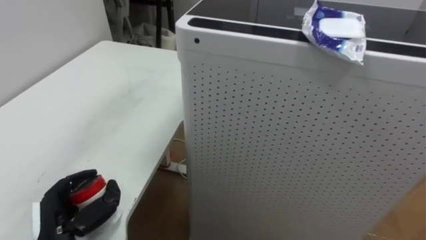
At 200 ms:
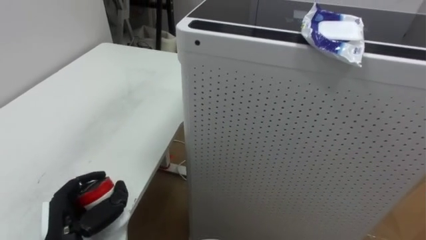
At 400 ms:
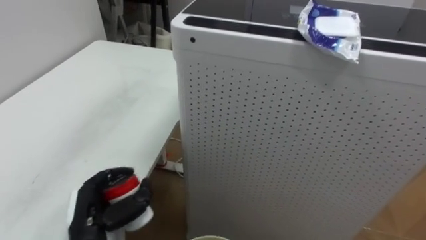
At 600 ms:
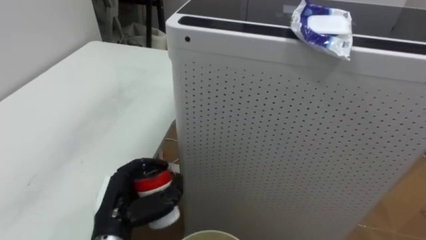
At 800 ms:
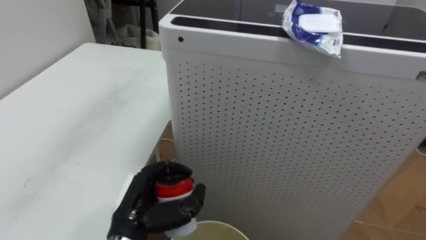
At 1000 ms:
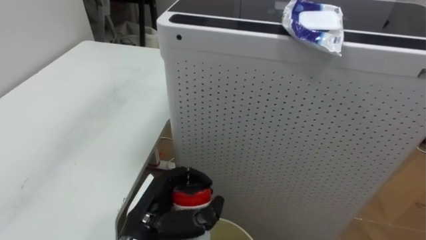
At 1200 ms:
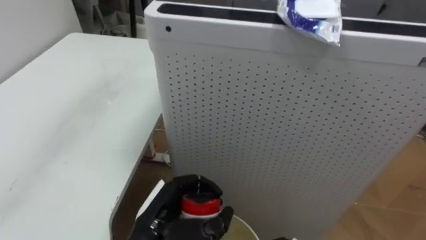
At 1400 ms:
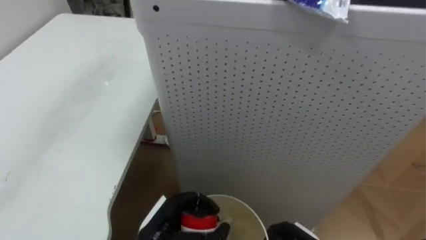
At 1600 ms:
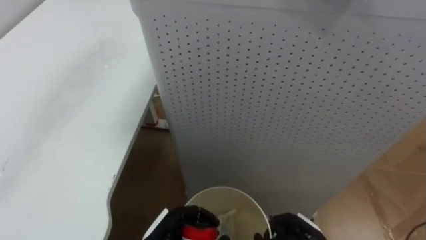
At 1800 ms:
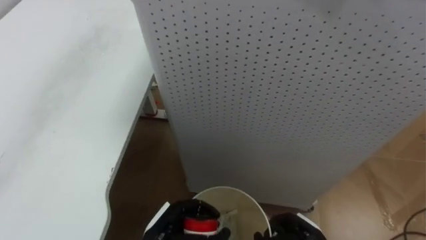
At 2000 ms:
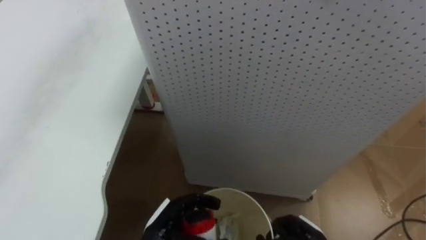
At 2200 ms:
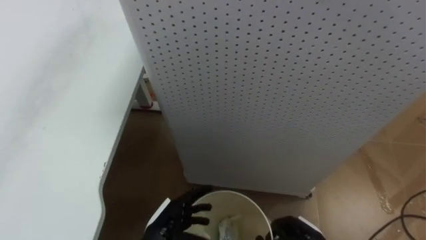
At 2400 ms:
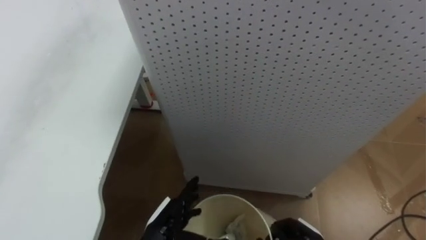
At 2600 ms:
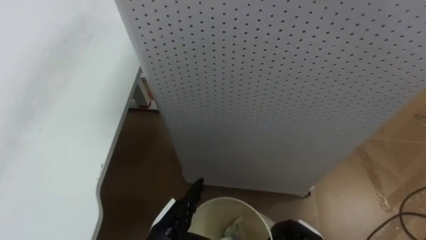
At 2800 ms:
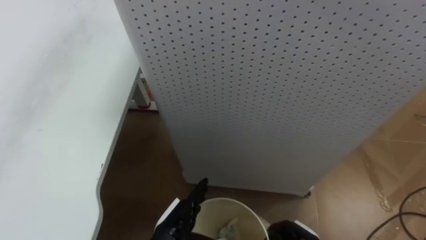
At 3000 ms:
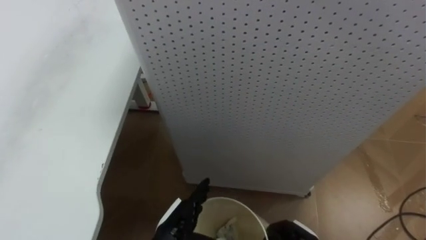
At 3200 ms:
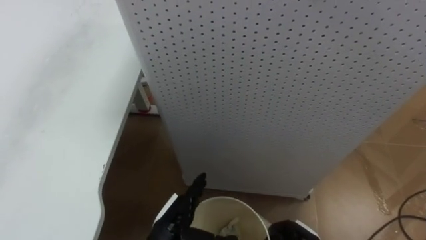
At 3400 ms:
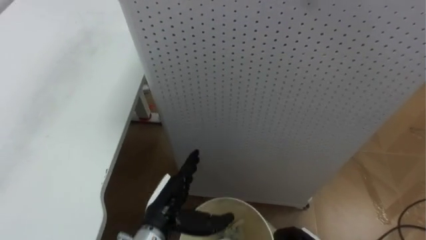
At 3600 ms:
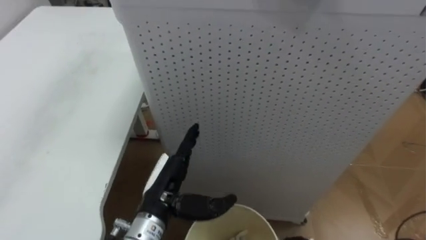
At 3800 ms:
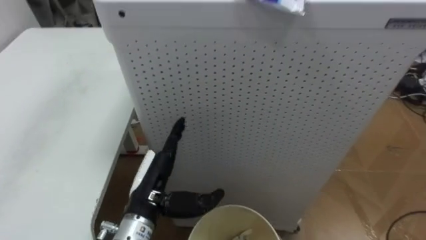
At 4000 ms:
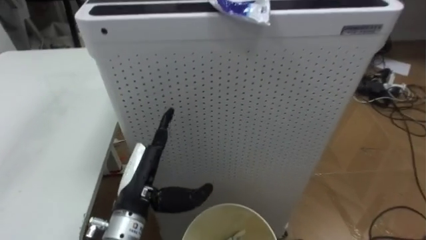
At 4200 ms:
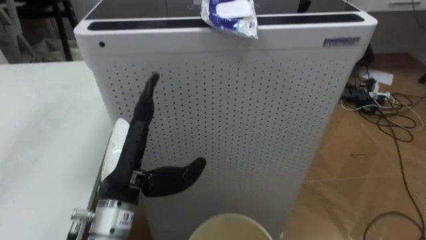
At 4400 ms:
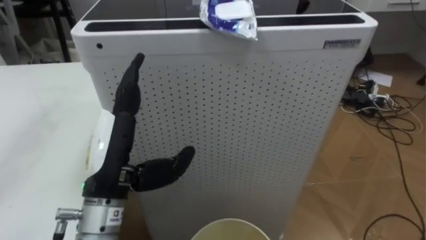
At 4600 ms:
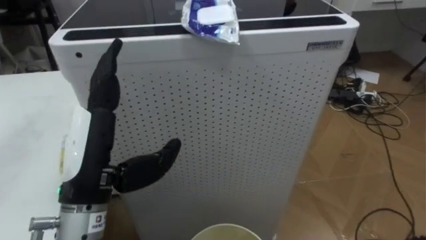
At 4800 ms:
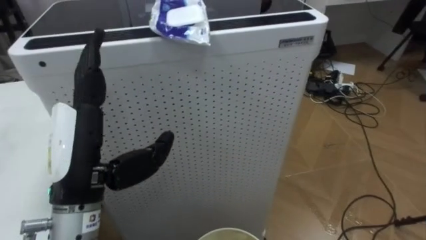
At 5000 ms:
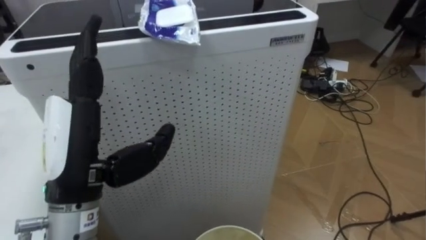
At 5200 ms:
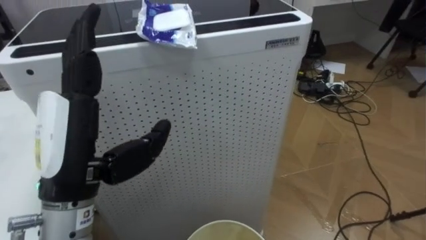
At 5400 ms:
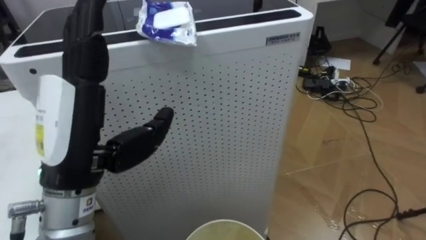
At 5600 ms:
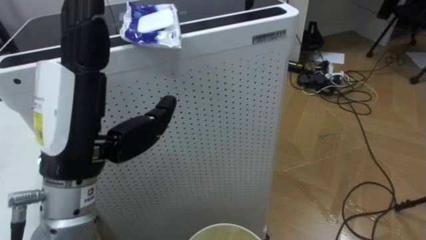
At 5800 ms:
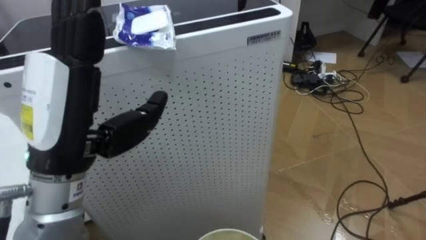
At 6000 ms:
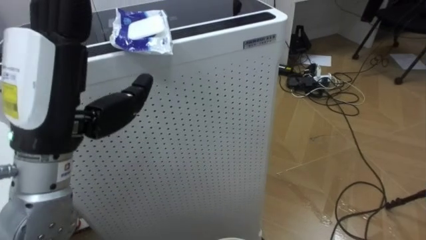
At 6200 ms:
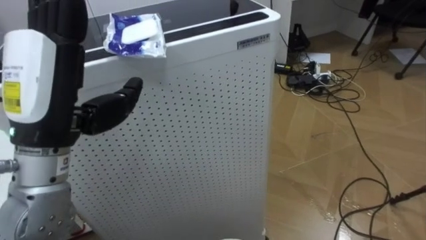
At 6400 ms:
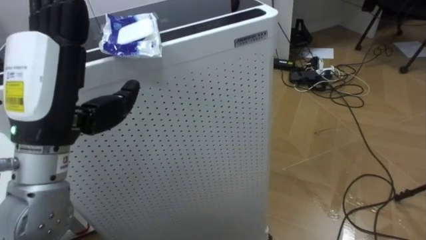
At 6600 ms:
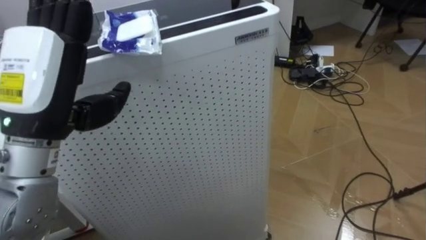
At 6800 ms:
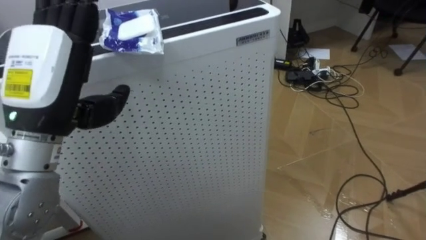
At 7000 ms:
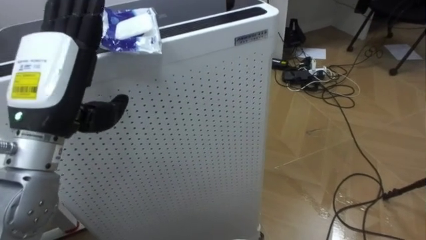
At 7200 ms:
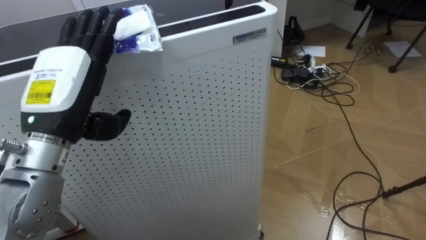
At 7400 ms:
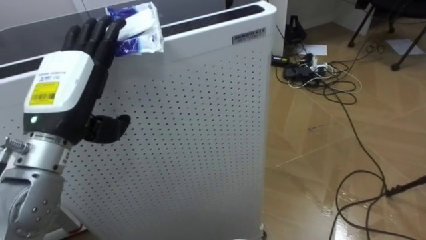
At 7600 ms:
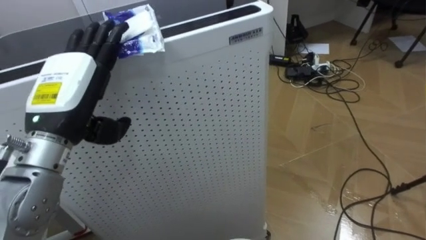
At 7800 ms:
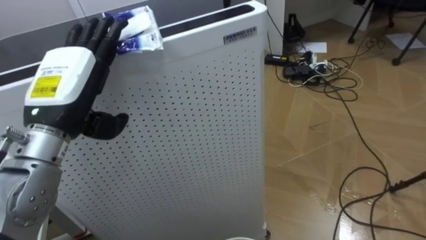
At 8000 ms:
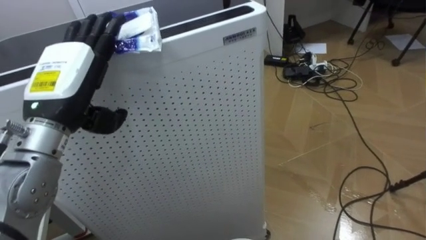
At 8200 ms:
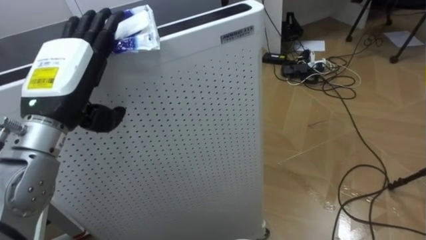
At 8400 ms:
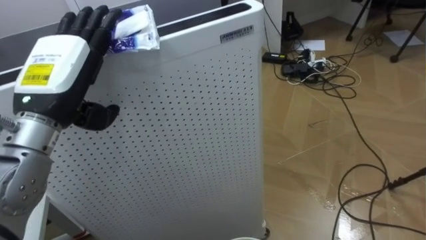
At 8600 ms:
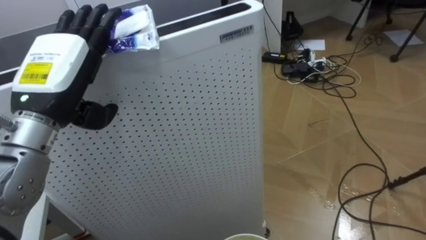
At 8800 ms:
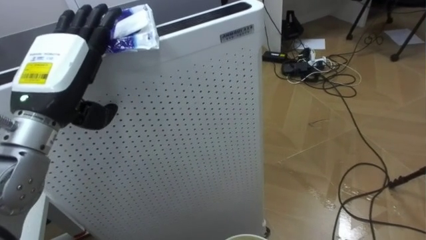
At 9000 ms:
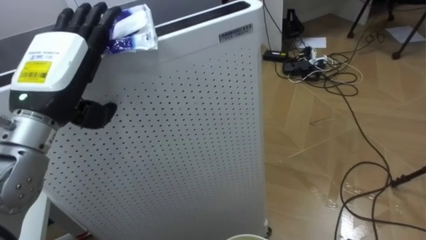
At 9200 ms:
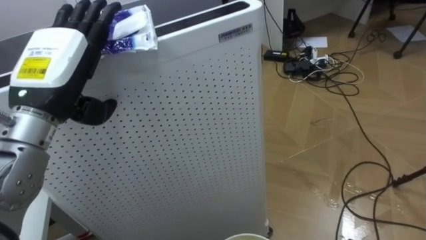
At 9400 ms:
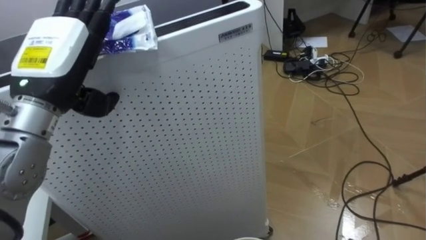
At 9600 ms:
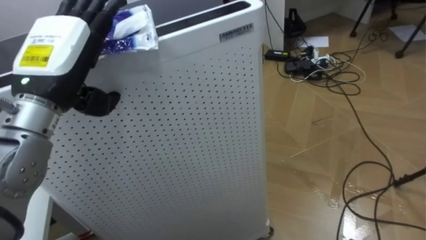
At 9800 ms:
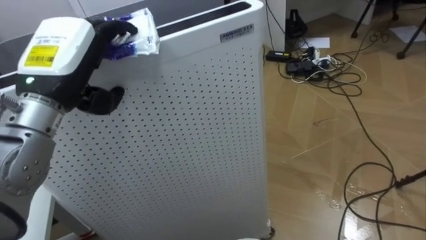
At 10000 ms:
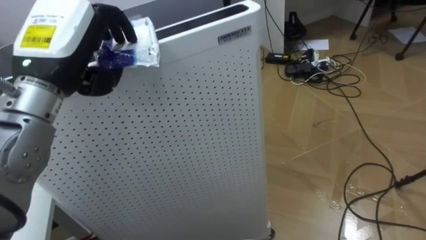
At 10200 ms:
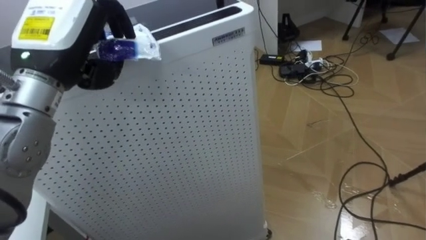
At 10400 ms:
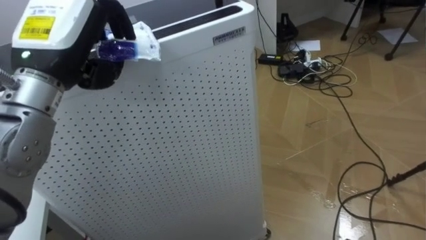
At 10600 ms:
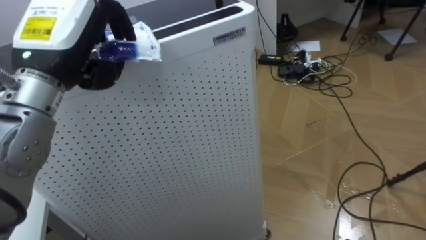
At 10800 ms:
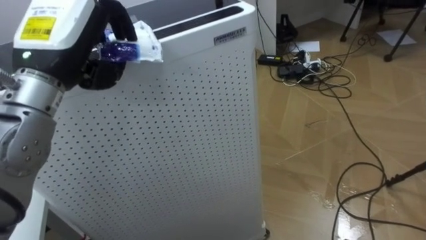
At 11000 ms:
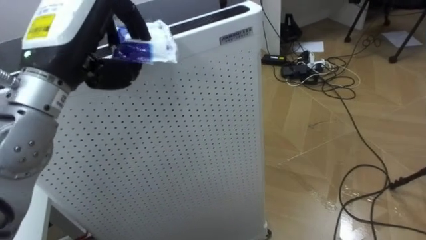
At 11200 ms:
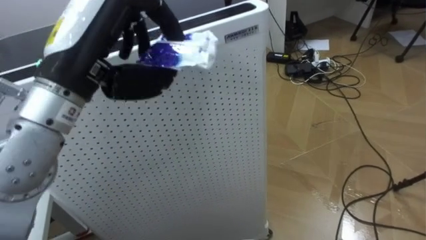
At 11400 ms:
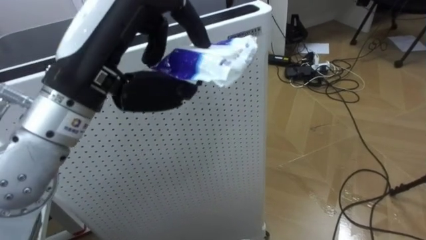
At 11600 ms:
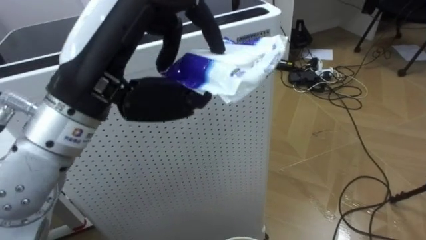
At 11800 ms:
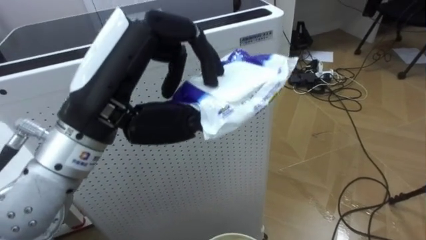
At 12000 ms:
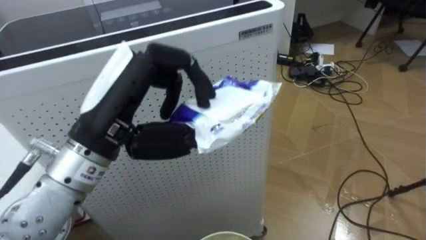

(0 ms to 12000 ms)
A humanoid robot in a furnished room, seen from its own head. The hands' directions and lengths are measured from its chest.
Task of the whole recording: Pick up the light blue package, the candy box, and the dark blue package separately, and put them into the trash can held in your right hand.
0 ms - 1600 ms: The left hand moves to the right, some 15 cm.
1600 ms - 3000 ms: The left hand opens.
3000 ms - 4400 ms: The left hand is displaced upward by some 20 cm.
4400 ms - 6000 ms: The left hand shifts about 10 cm upward.
6000 ms - 7600 ms: The left hand moves forward and downward, about 10 cm.
9000 ms - 10400 ms: The left hand changes place by about 5 cm, and closes its fingers.
10400 ms - 12000 ms: The left hand moves backward and to the right, some 10 cm.

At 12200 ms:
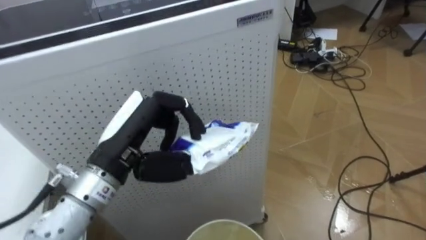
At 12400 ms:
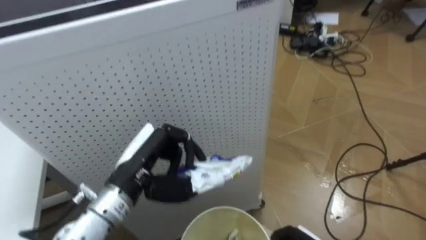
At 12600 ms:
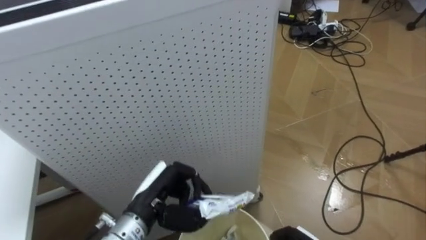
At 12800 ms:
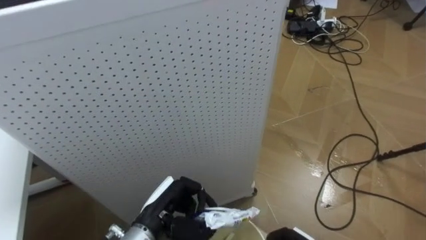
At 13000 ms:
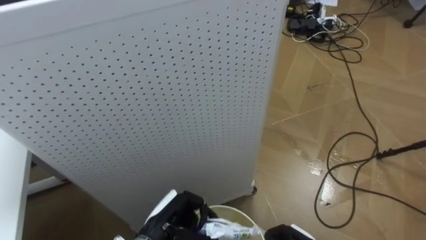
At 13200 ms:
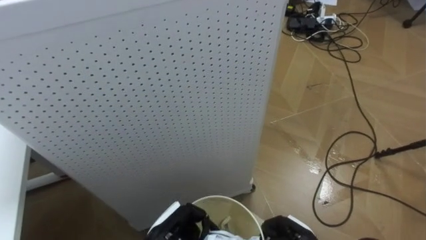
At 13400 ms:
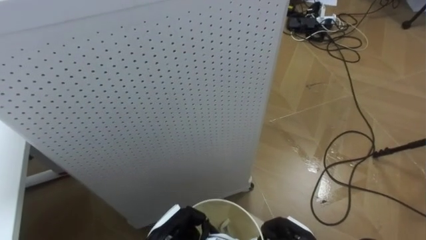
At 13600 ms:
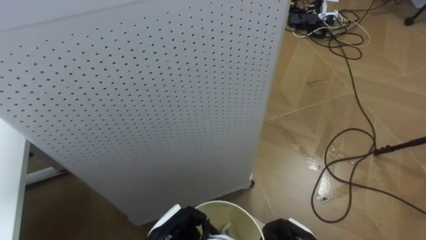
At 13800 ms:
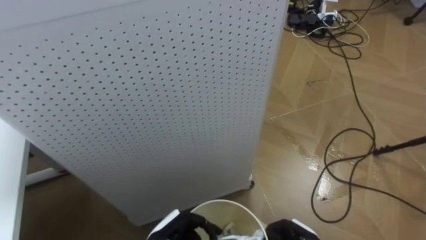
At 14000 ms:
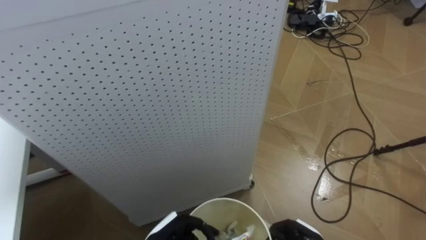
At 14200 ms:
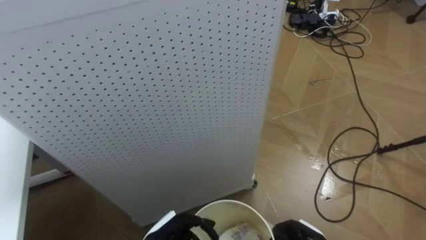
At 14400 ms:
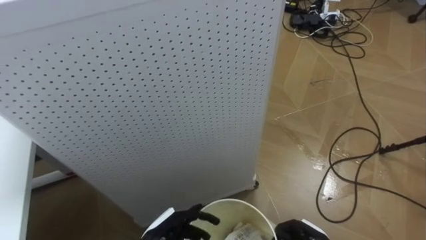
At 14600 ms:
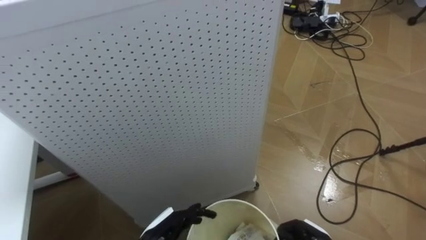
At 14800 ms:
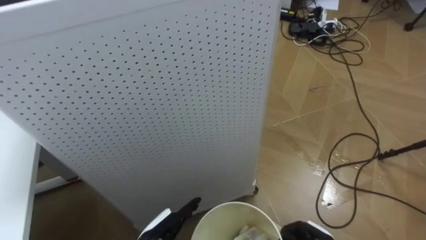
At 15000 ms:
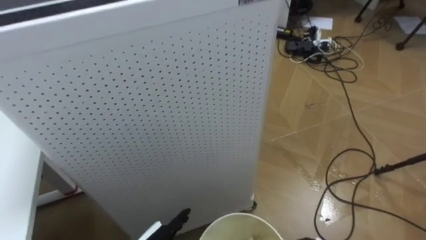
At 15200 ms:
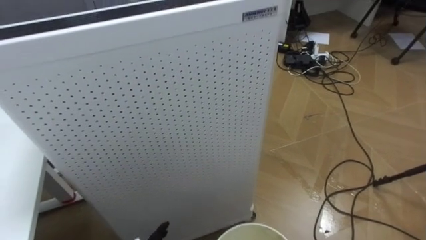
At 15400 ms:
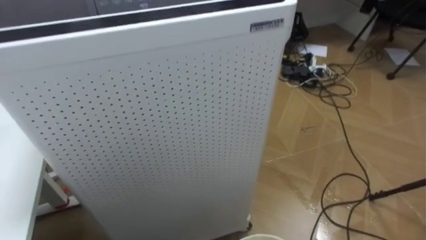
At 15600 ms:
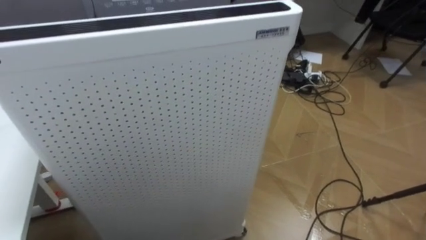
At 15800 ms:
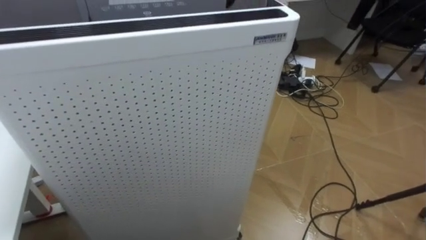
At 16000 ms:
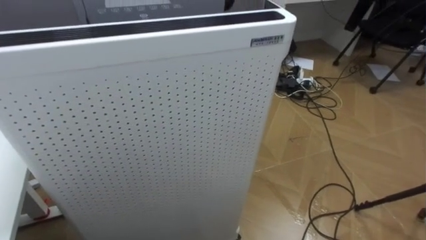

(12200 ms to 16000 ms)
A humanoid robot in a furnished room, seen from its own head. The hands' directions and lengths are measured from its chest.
Task of the whole recording: Pick up the light blue package, the candy box, and the dark blue package separately, and put them into the trash can held in your right hand.
12200 ms - 13400 ms: The left hand moves downward, approximately 25 cm.
13400 ms - 14800 ms: The left hand opens.

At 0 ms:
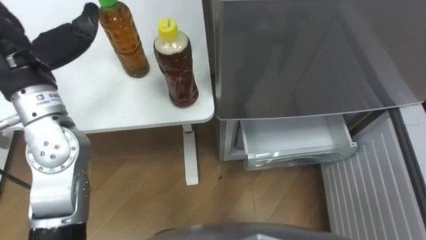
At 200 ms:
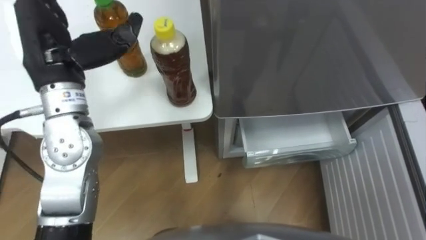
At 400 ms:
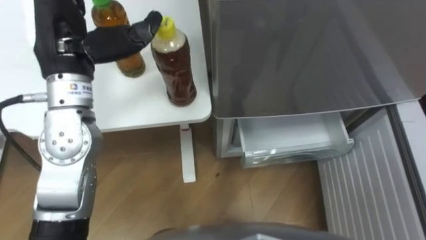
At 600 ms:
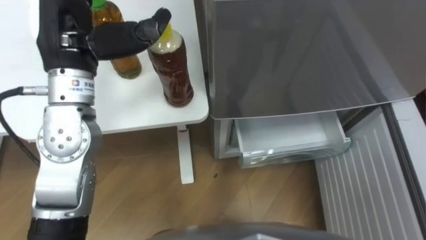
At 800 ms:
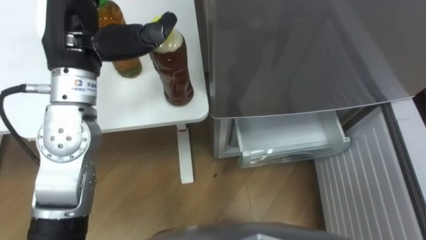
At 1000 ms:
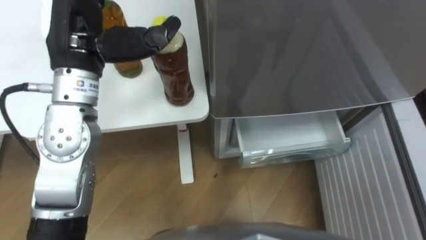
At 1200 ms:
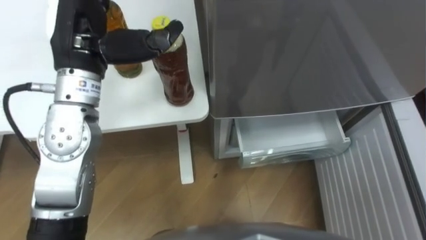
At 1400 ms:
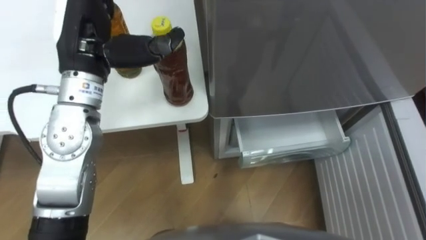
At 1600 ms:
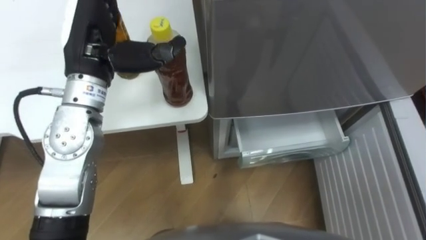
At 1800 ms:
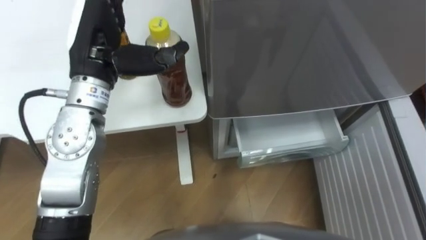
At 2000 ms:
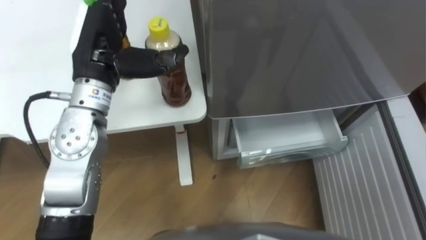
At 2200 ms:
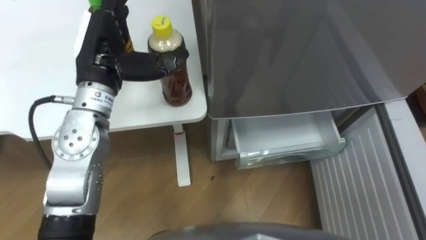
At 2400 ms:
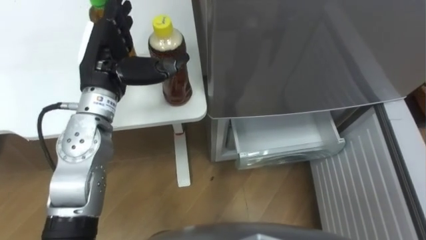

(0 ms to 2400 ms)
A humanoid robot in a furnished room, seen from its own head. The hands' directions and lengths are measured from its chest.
Task of the whole recording: Place the drink on the table on the bottom shelf of the refrigerator, then close the drawer and the refrigerator door.
0 ms - 1200 ms: The left hand shifts roughly 10 cm to the right.
1200 ms - 2400 ms: The left hand goes approximately 5 cm downward.
